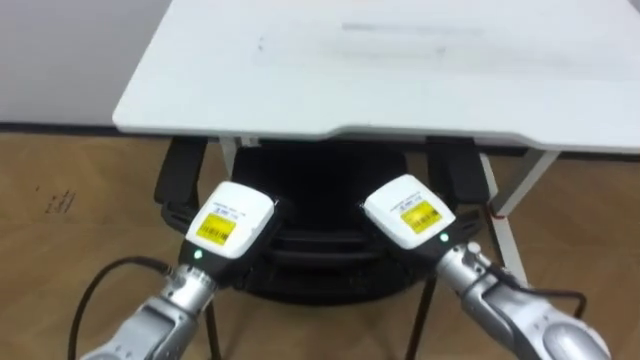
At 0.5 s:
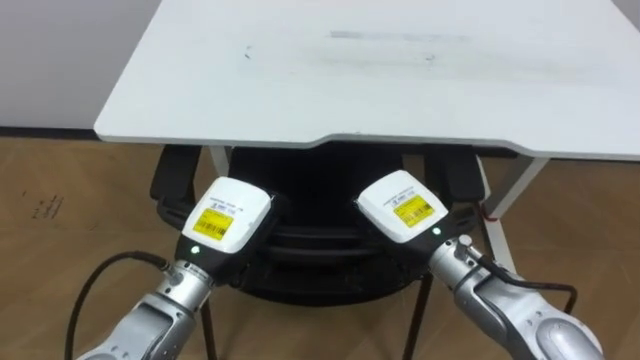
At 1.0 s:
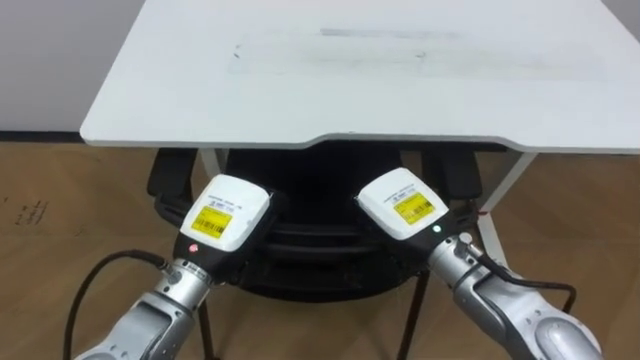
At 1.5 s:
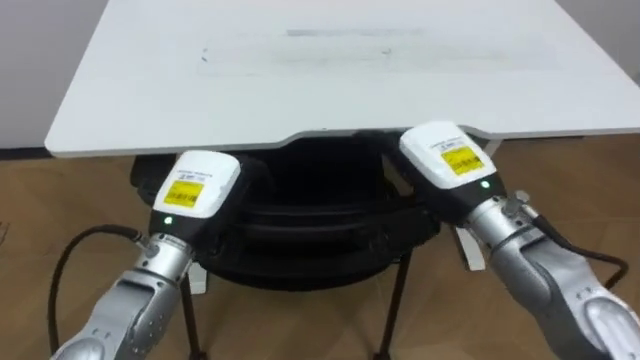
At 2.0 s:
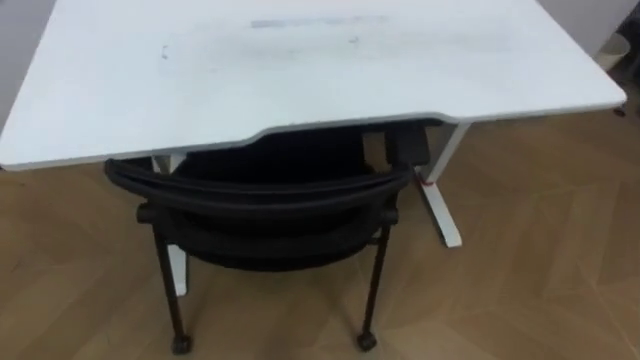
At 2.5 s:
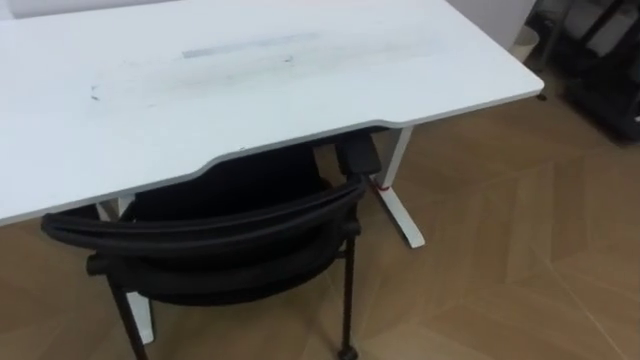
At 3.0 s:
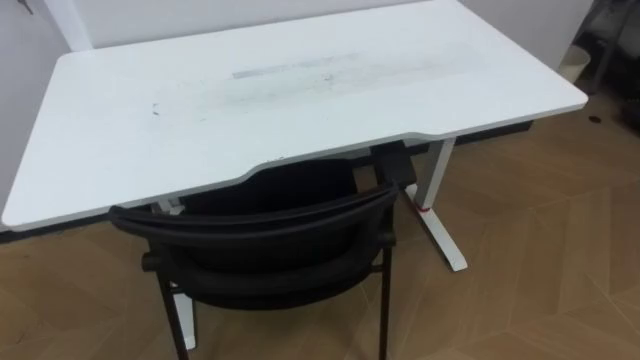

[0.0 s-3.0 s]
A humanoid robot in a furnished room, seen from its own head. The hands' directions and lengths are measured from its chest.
Task of the whole recording: Push the chair under the table.
0.0 to 1.5 s: The right hand moves upward, approximately 5 cm, and opens up; the left hand opens up.

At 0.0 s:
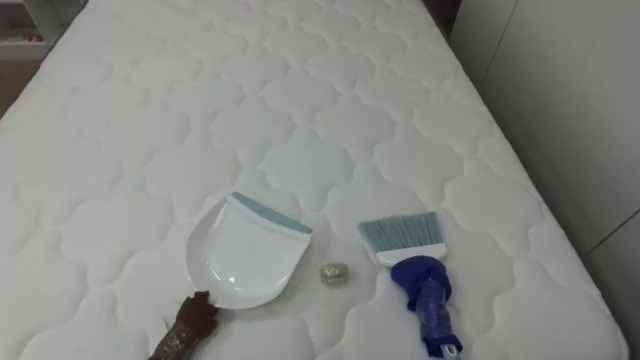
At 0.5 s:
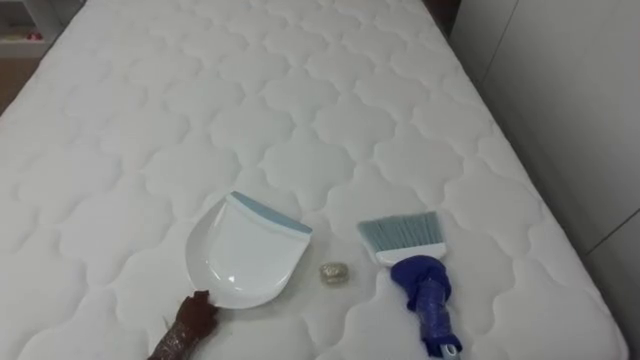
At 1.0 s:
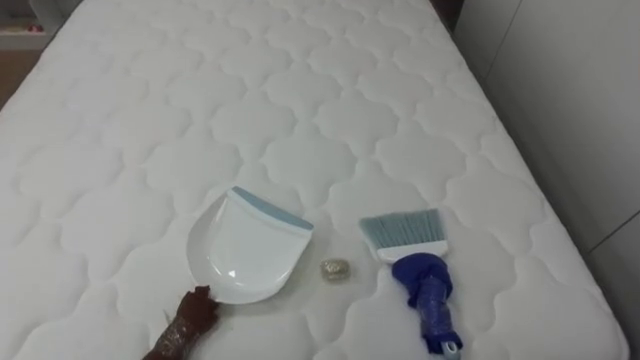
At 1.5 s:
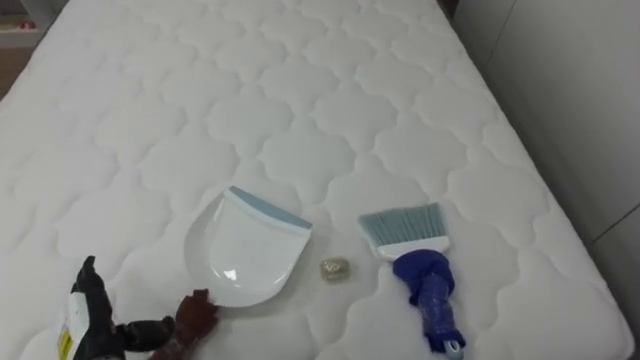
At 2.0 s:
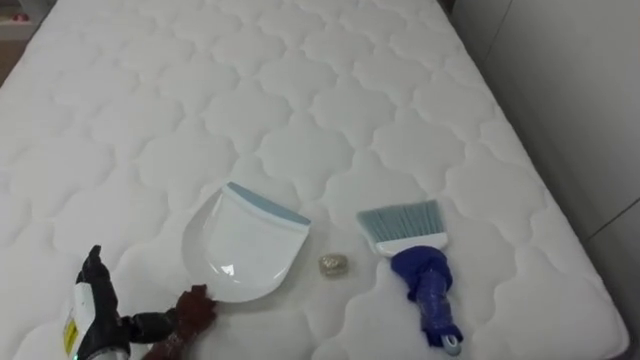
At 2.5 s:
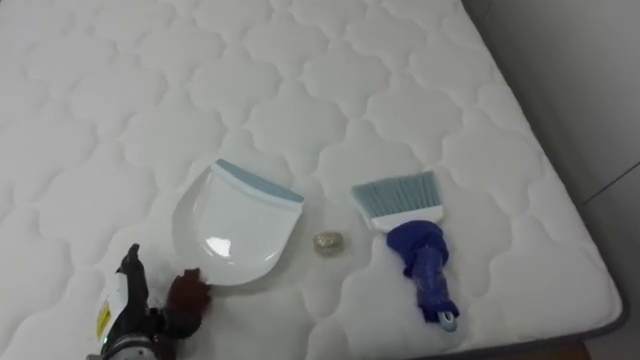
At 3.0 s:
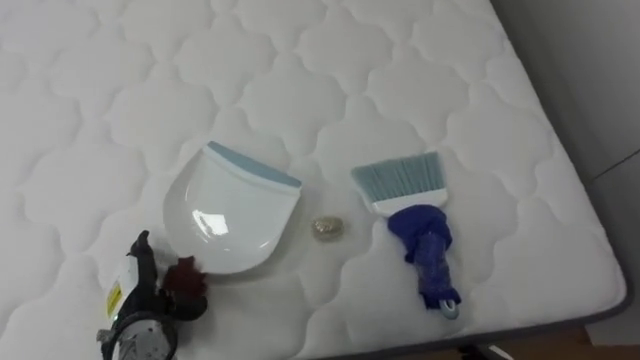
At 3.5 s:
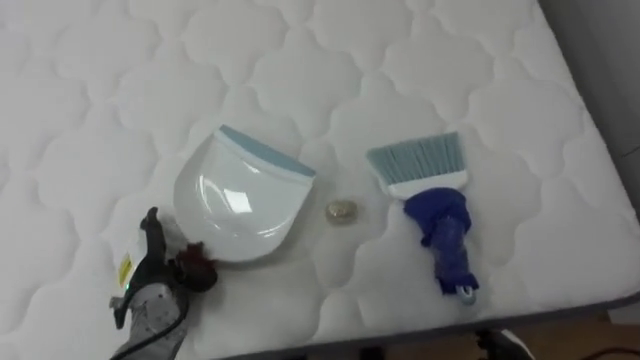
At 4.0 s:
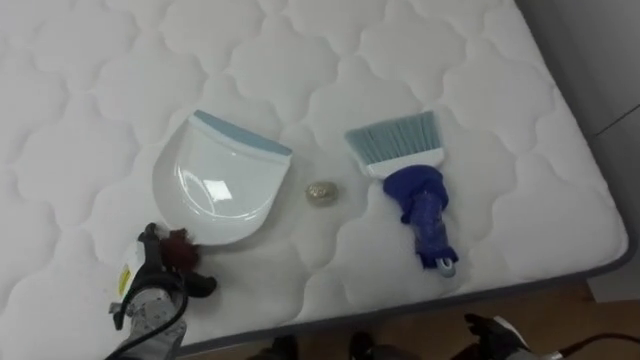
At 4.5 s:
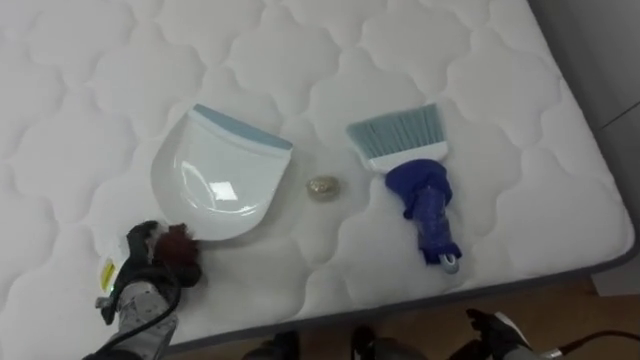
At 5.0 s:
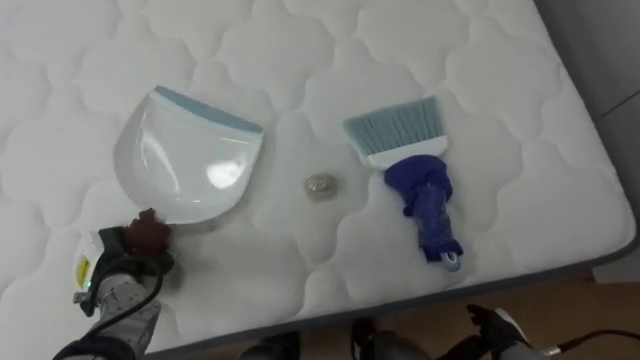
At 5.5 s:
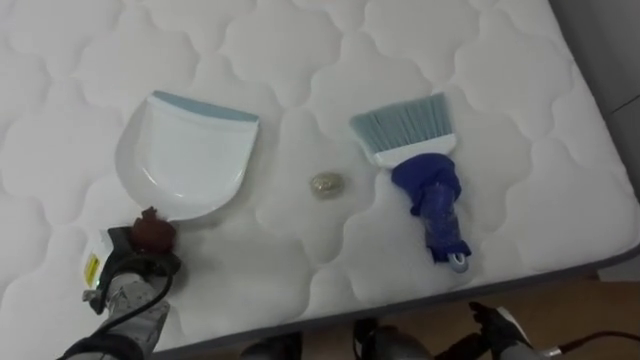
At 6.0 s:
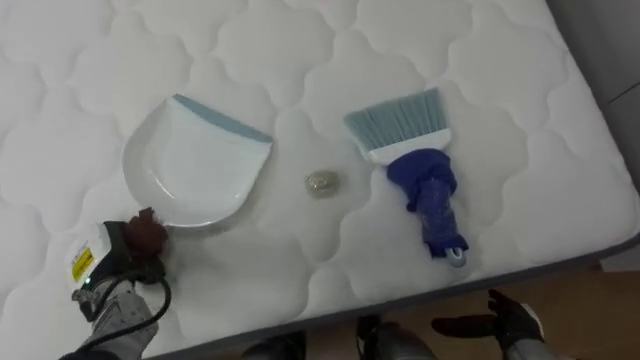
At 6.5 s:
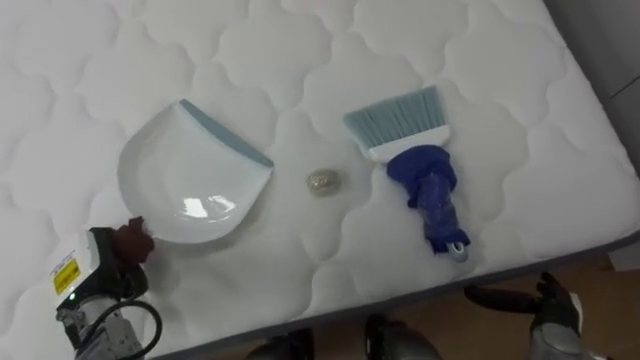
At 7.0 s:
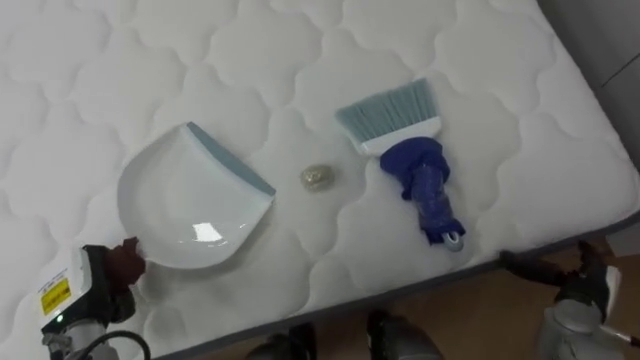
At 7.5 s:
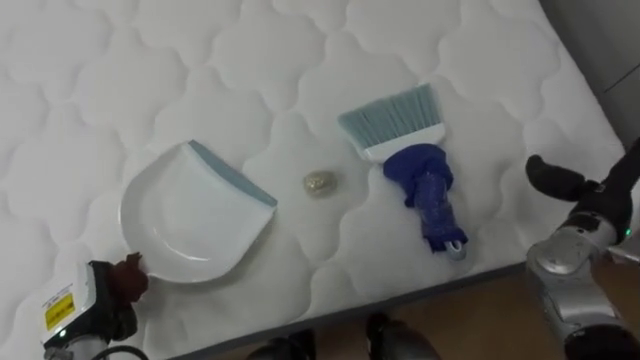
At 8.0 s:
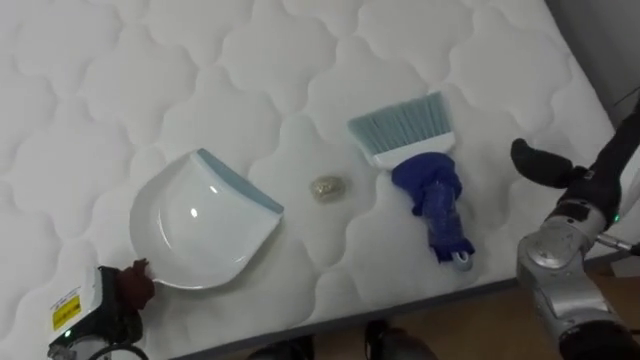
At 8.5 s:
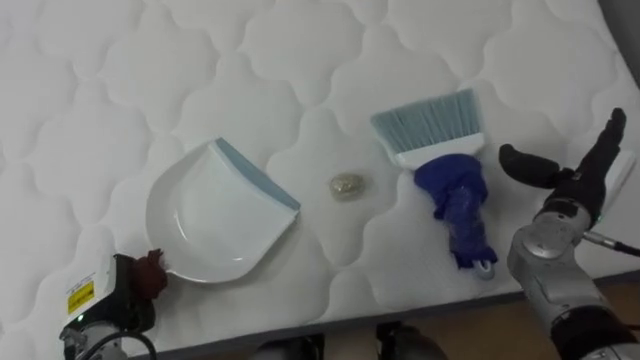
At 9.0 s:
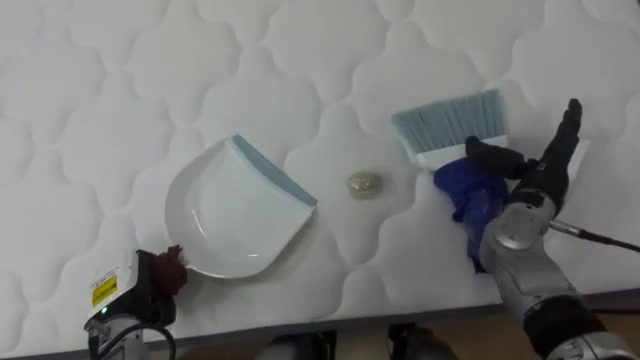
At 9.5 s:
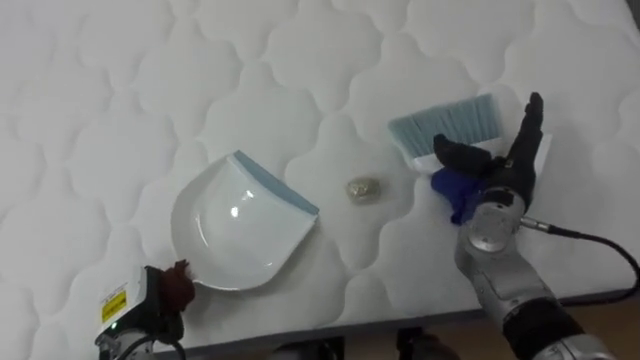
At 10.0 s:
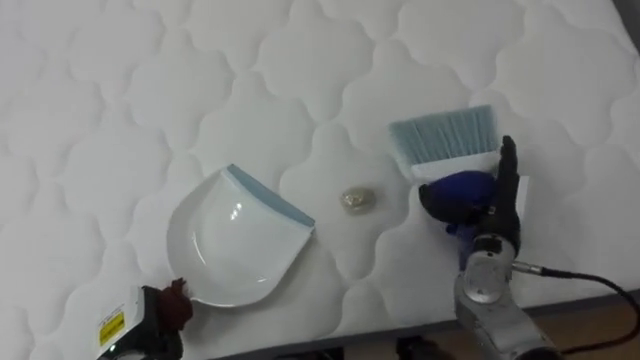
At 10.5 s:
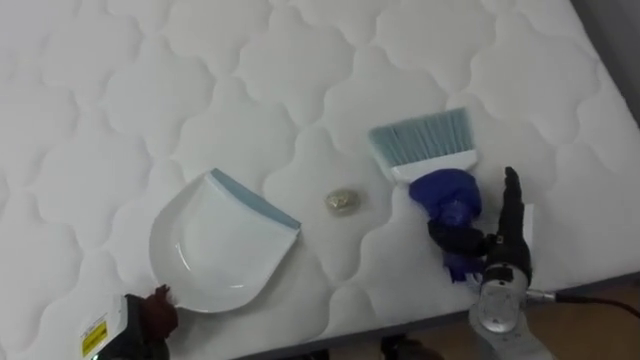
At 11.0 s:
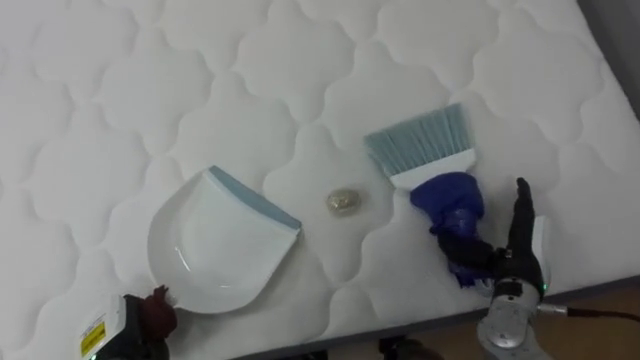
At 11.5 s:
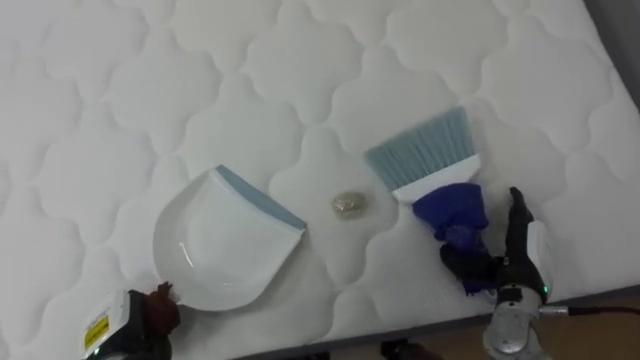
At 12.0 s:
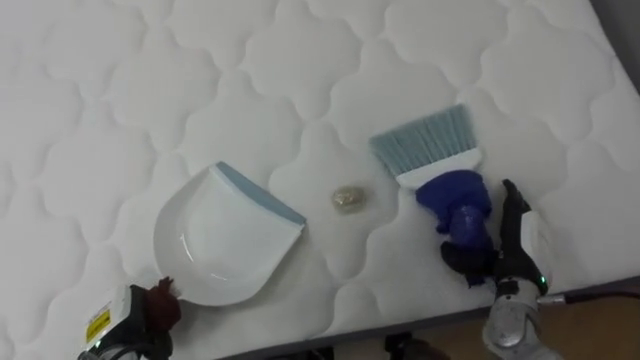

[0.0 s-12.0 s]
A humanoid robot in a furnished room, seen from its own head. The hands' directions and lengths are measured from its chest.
Task of the whole recording: Pick up the brush on your right and the dustpan on your left. Use the brush to sweep the crumpled paper on the bed into the dustpan, then turn left and empty it into the basket.
2.0 to 4.0 s: The left hand travels forward by approximately 10 cm.
4.0 to 6.0 s: The left hand moves some 5 cm, and closes.
6.0 to 8.0 s: The left hand heads backward, covering about 5 cm; the right hand goes some 25 cm upward and forward.
8.0 to 10.0 s: The right hand moves to the left and downward, approximately 10 cm; the left hand shifts about 5 cm to the right.
10.0 to 12.0 s: The right hand travels downward by approximately 5 cm.

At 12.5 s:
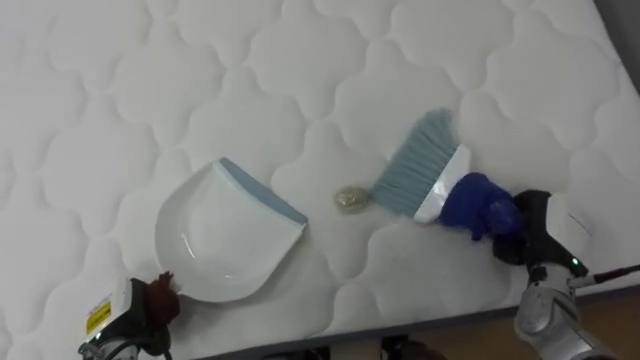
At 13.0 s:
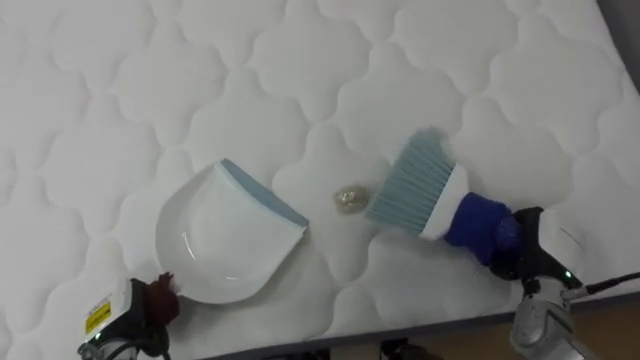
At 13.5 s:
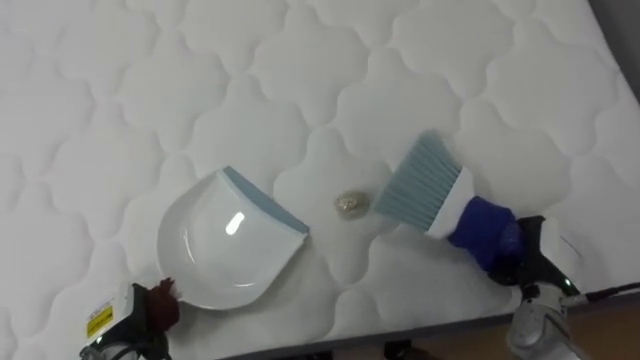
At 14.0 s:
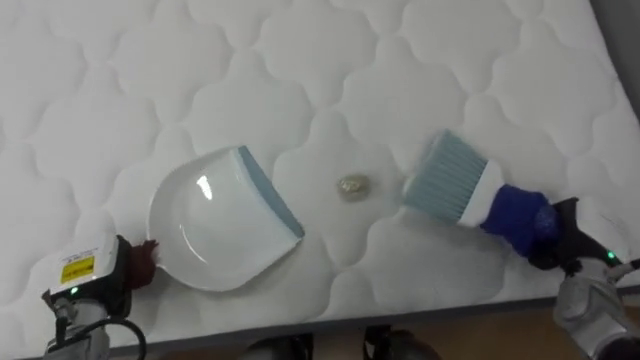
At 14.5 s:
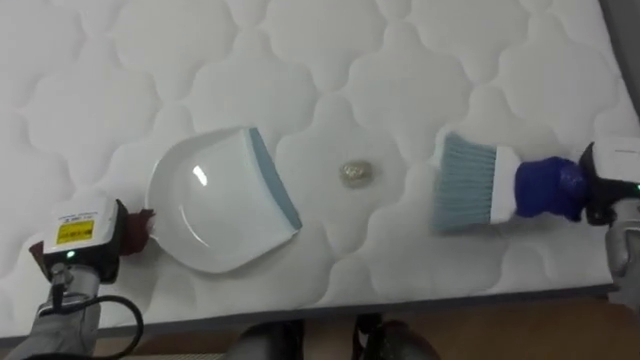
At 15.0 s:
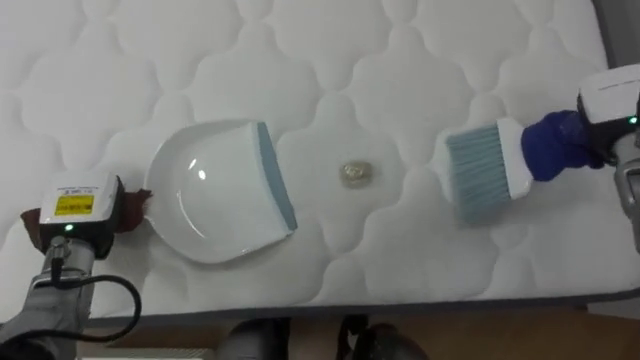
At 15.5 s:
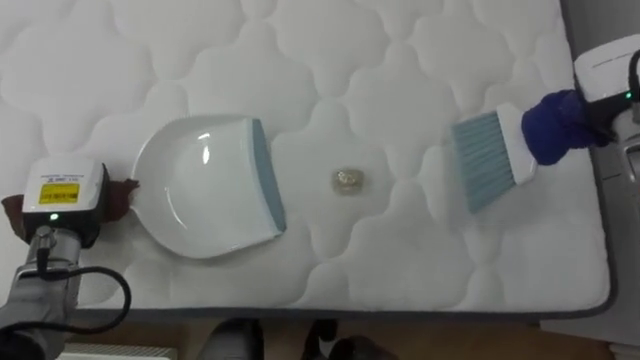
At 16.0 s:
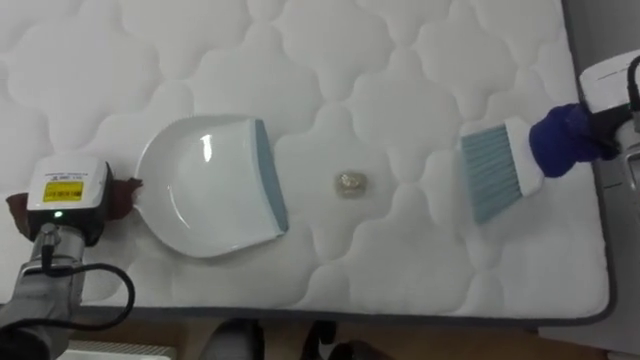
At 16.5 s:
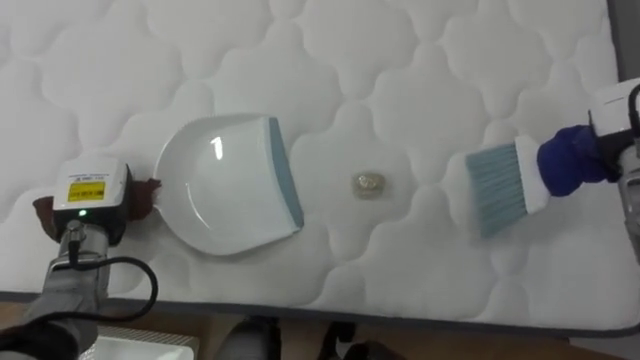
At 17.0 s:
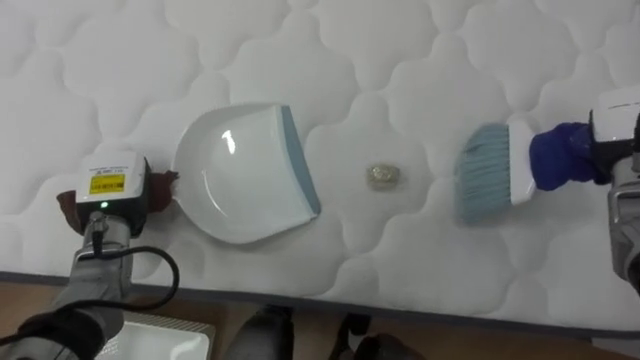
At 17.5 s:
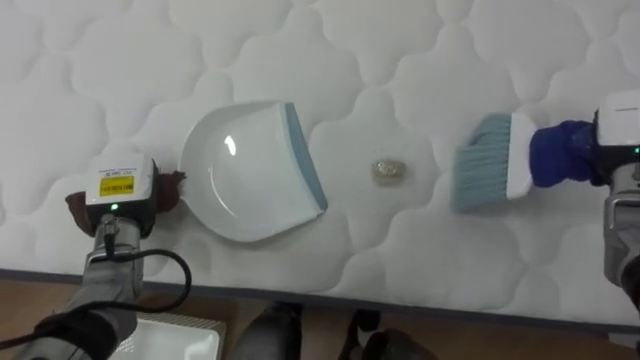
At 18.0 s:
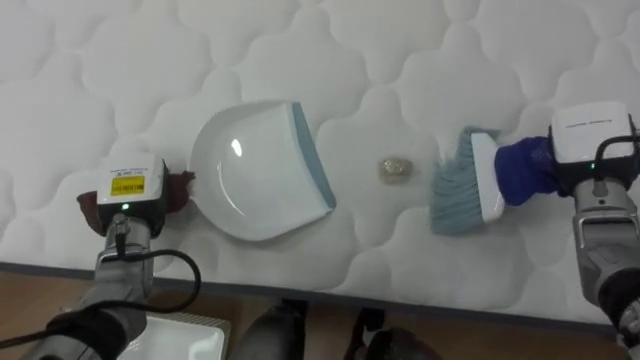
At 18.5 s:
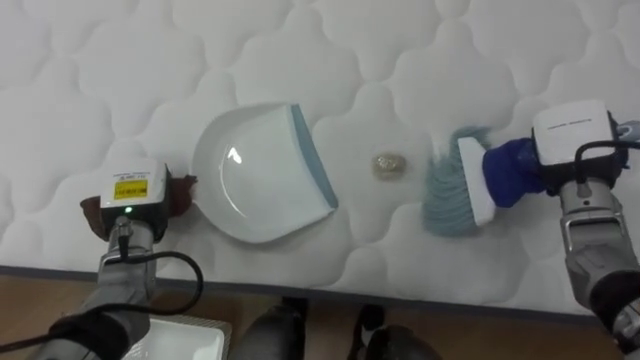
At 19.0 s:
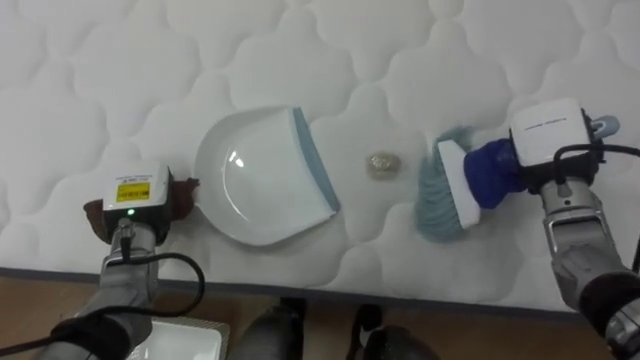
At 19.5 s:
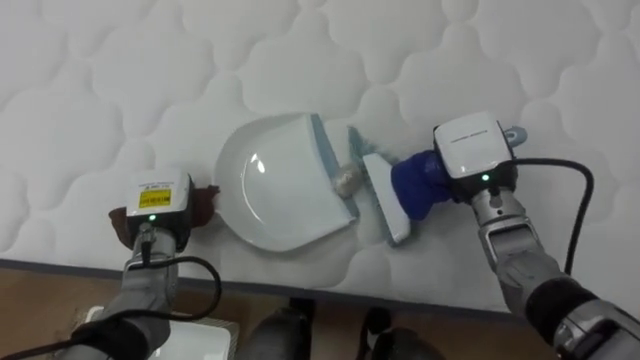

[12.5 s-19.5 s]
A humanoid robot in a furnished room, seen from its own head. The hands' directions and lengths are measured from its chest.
Task of the whole recording: Pick up the brush on your right and the dustpan on your left. Use the brush to sweep the crumpled paper on the bed into the dustpan, then turn left and empty it into the basket.
12.5 to 14.5 s: The left hand goes roughly 15 cm upward and forward, while the right hand is displaced to the right, upward and forward by approximately 10 cm.
14.5 to 16.0 s: The right hand goes about 10 cm upward and forward. Meanwhile the left hand shifts by some 5 cm.
16.0 to 17.5 s: The left hand is displaced to the right by roughly 5 cm.
17.5 to 19.5 s: The left hand shifts by some 5 cm, while the right hand shifts about 20 cm to the left.